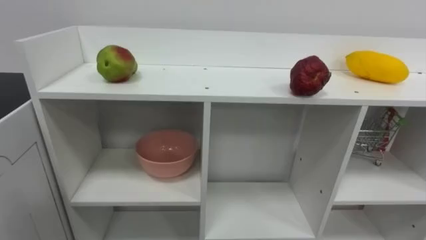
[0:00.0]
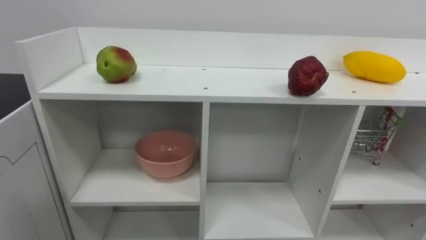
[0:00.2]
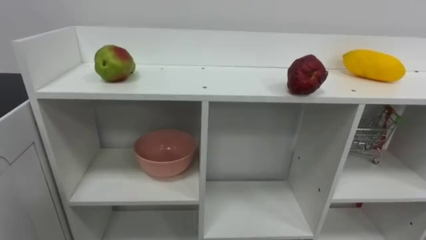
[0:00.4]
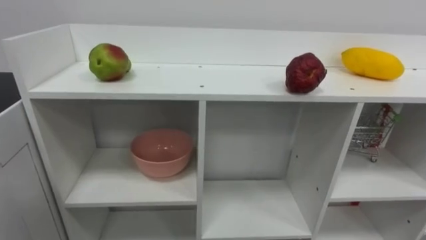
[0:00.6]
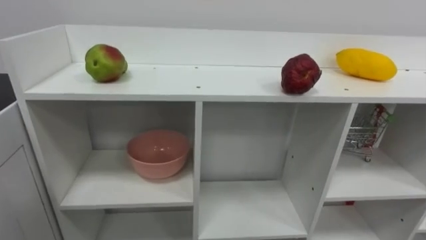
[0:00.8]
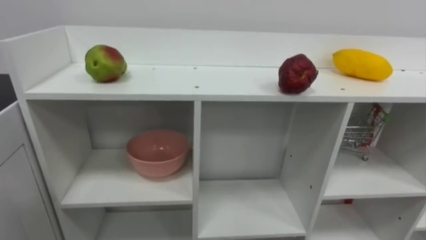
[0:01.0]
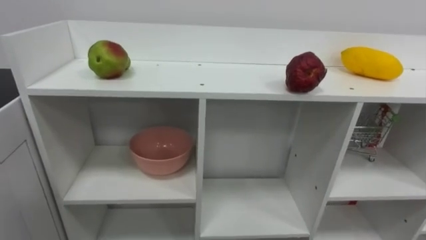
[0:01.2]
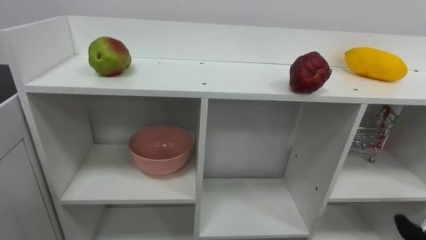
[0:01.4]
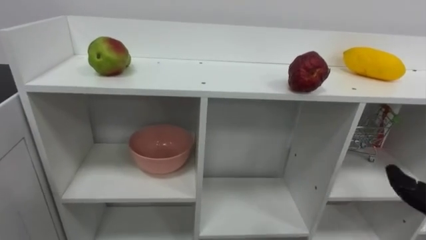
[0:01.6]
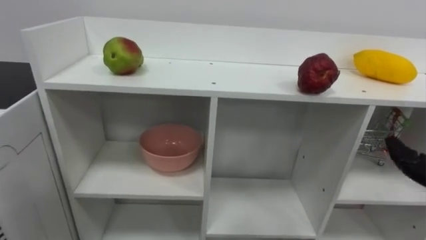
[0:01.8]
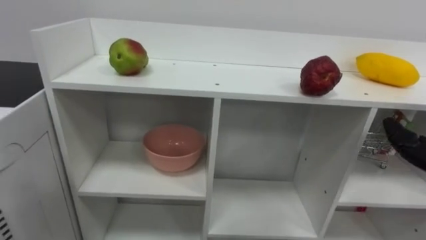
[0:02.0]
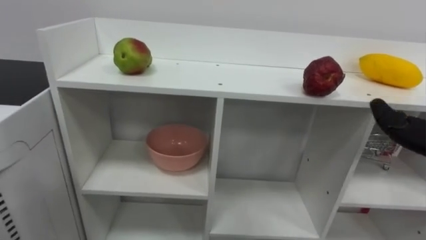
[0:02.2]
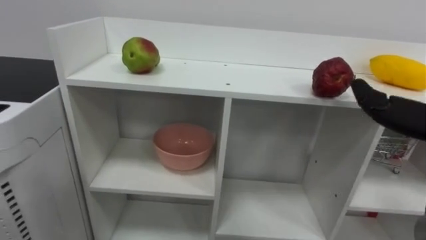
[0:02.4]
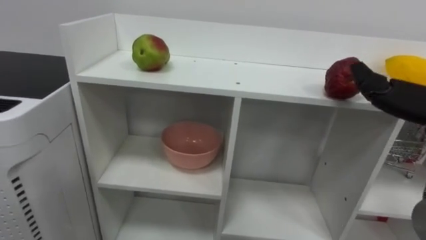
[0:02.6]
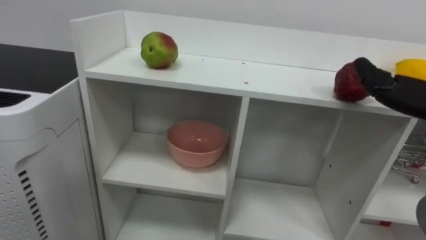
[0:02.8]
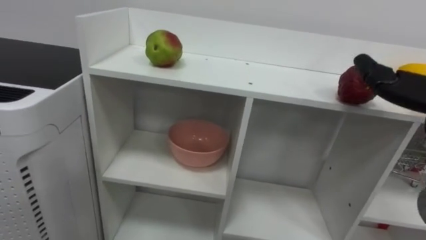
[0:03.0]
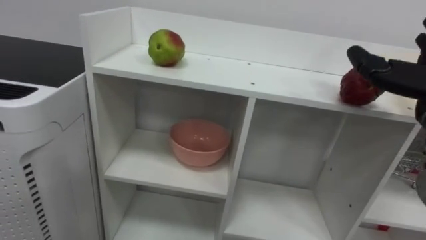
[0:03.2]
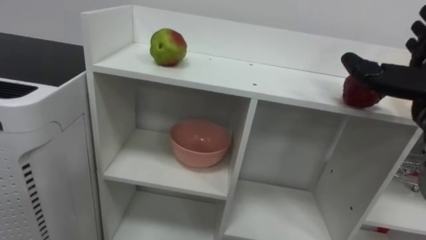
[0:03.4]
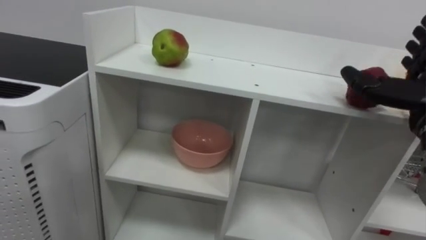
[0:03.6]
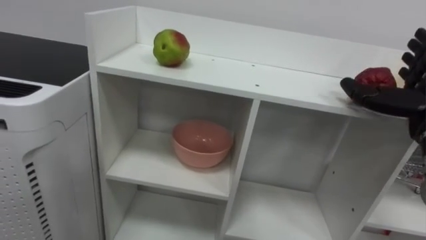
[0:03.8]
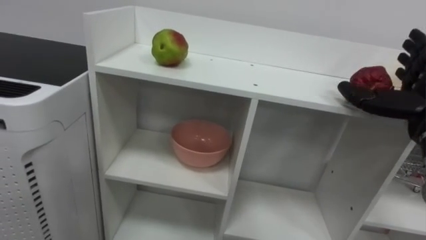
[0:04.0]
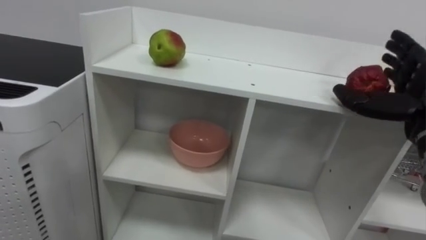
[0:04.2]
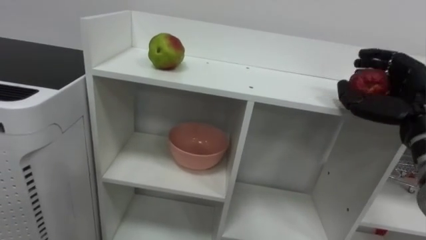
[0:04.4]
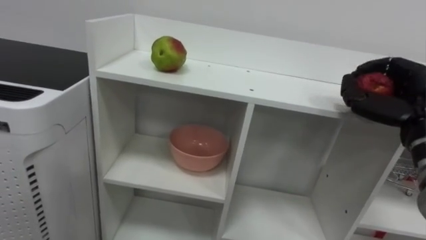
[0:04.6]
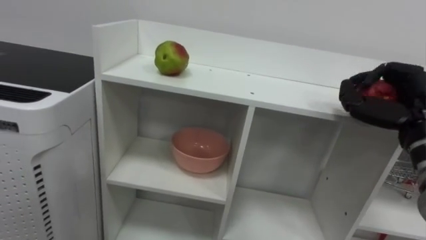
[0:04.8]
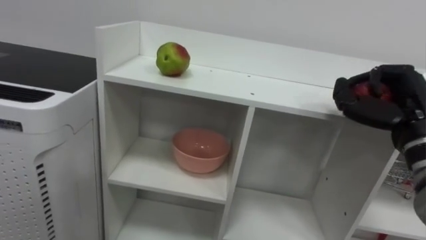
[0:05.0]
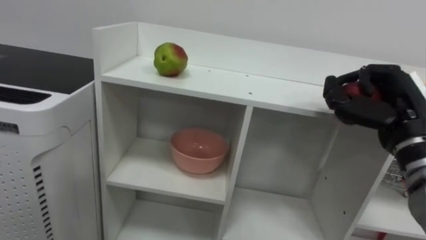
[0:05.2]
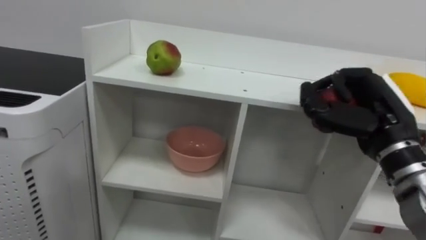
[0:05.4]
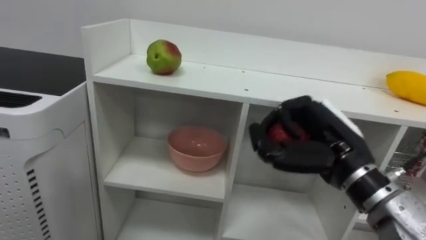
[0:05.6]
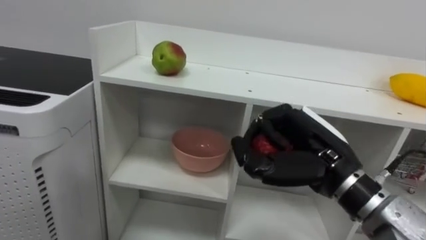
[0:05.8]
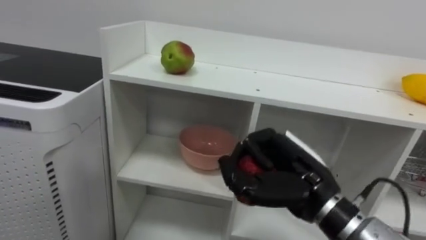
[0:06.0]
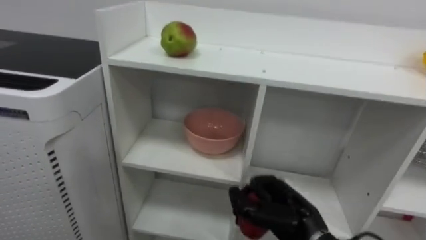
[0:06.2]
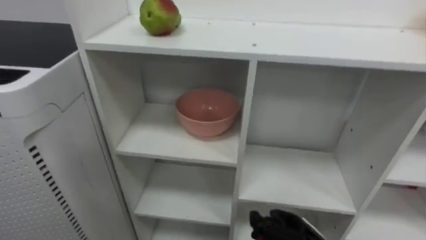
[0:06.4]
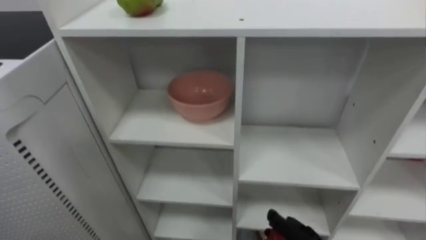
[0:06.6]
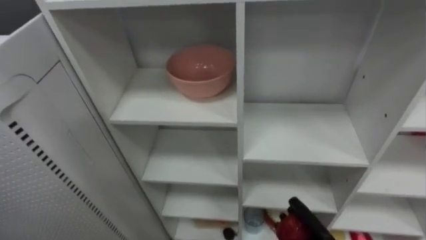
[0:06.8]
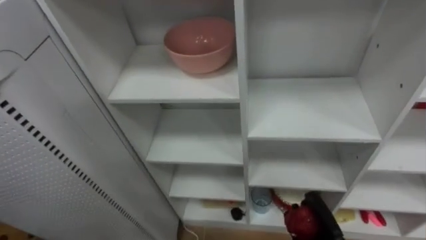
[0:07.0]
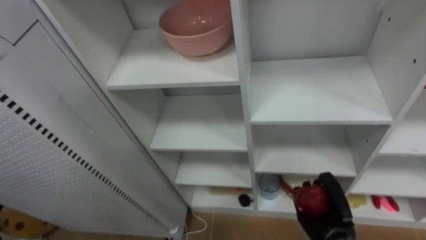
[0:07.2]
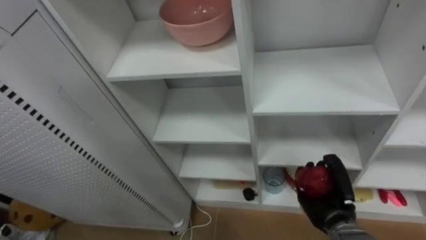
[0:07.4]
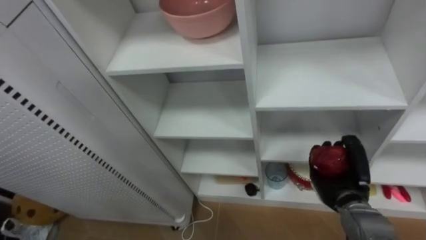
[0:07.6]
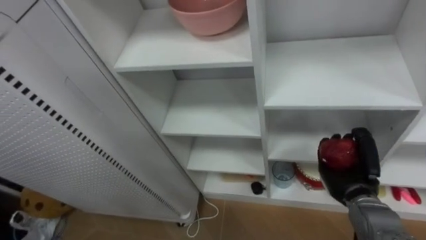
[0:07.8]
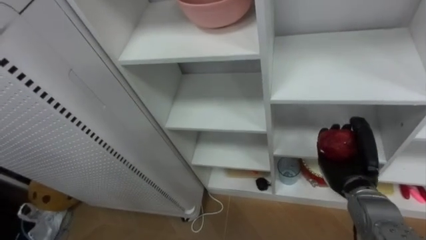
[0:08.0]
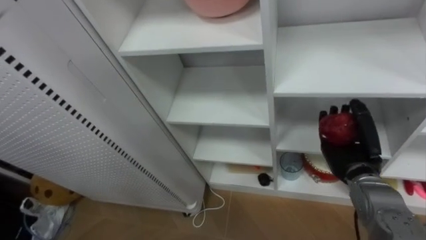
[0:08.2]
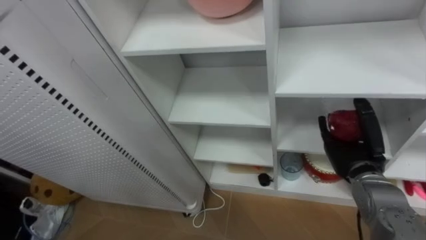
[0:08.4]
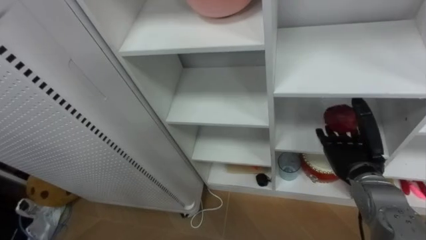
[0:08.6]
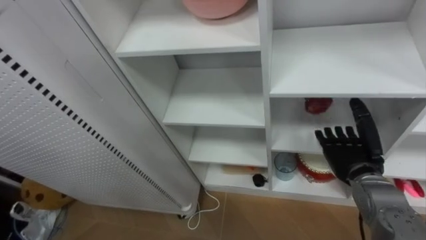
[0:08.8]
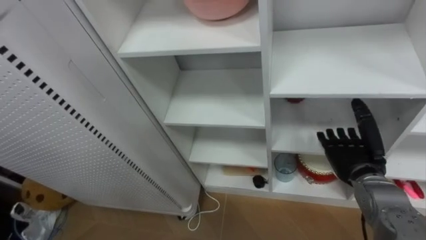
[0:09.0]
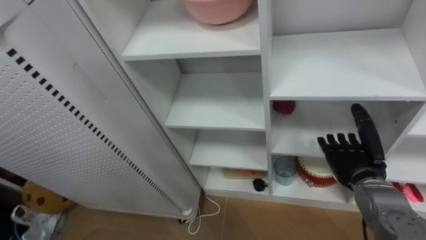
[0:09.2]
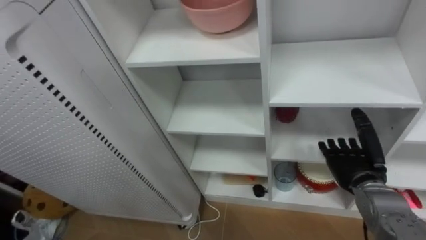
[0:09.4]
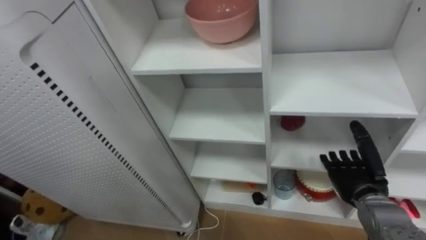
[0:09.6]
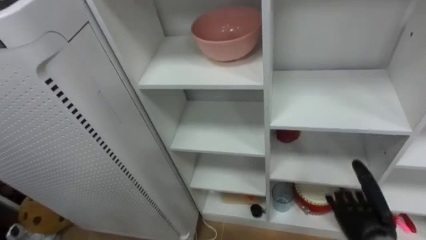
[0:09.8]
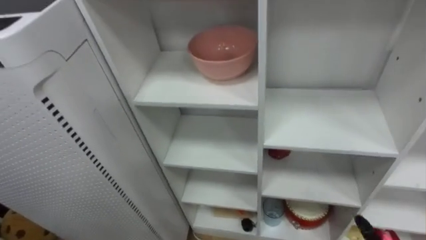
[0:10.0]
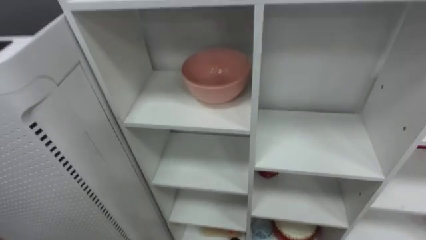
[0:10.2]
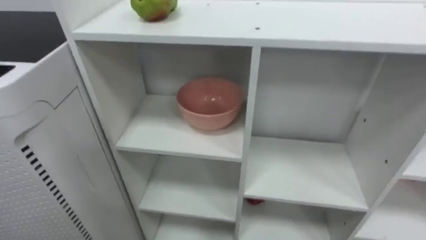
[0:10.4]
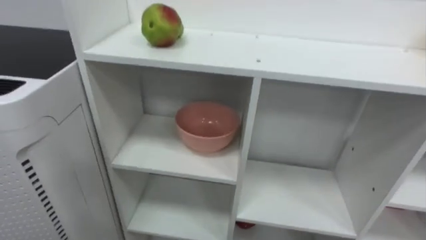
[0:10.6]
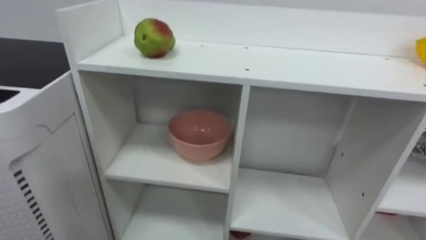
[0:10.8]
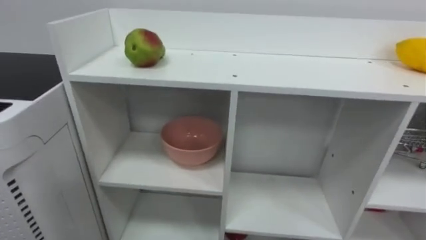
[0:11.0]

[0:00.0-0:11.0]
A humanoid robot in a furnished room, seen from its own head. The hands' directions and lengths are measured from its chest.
Task of the whole recording: Put the apple in the cell in the second column from the left and the second row from the top.
0:04.8 to 0:06.2: The right hand goes approximately 25 cm to the left and downward.
0:07.8 to 0:09.4: The right hand opens up.

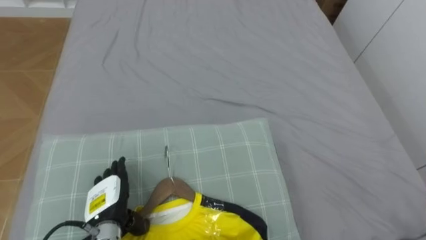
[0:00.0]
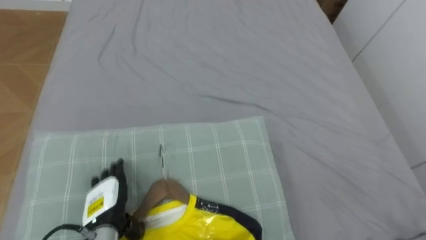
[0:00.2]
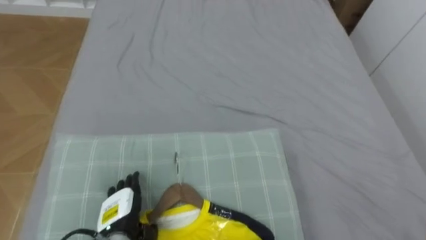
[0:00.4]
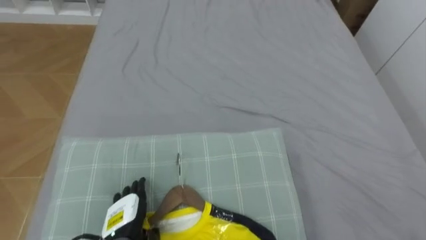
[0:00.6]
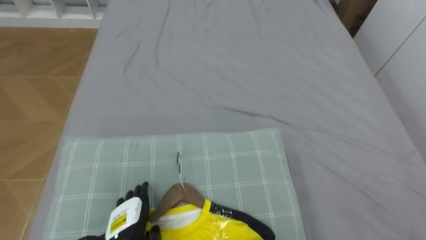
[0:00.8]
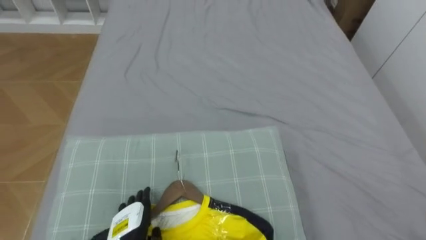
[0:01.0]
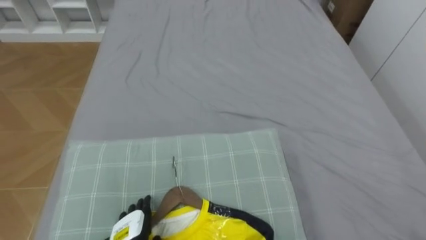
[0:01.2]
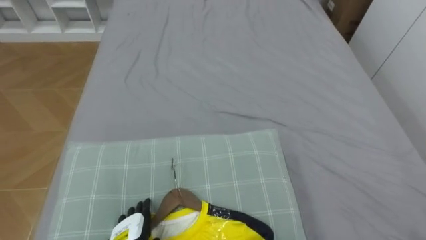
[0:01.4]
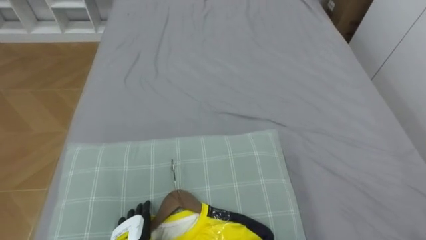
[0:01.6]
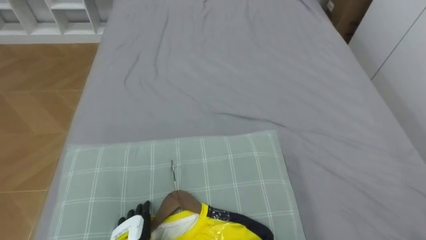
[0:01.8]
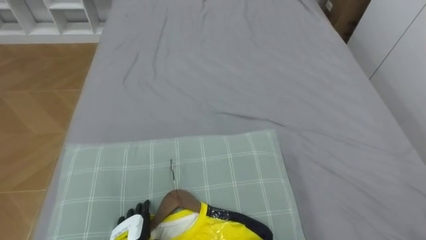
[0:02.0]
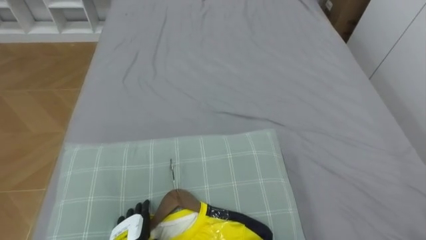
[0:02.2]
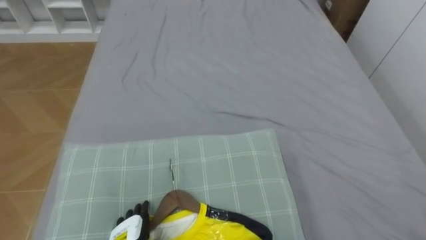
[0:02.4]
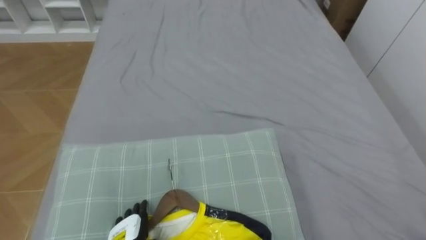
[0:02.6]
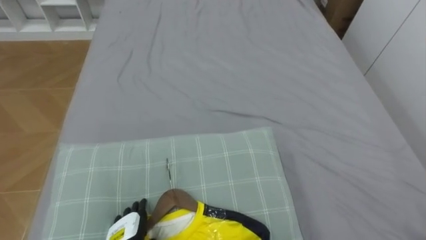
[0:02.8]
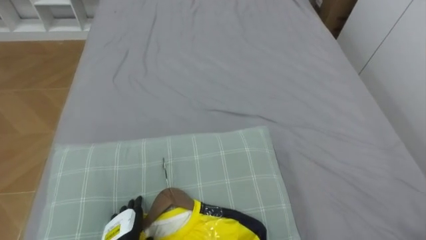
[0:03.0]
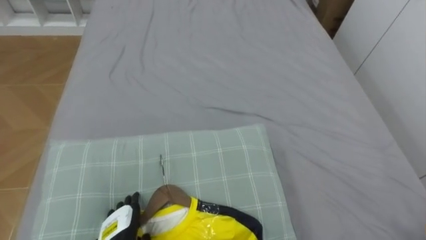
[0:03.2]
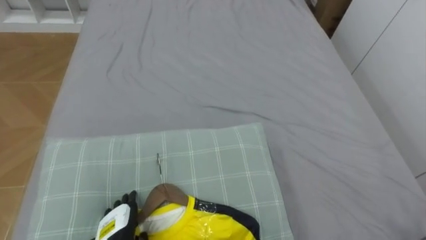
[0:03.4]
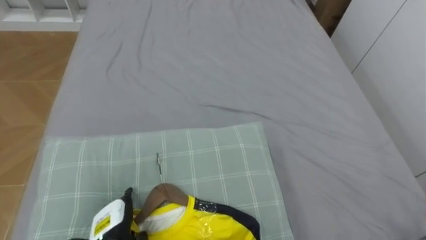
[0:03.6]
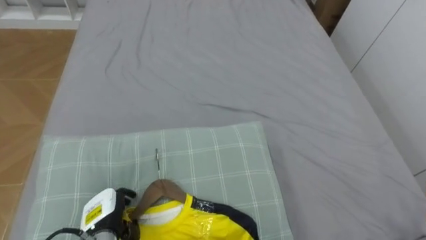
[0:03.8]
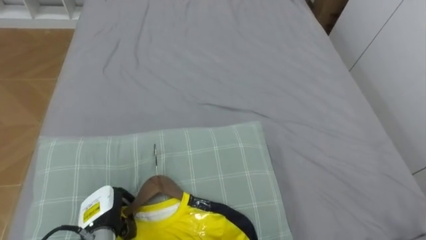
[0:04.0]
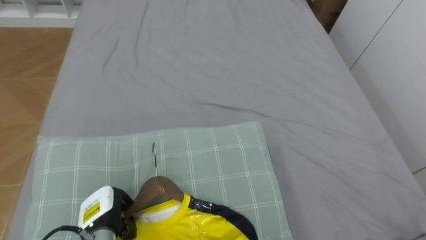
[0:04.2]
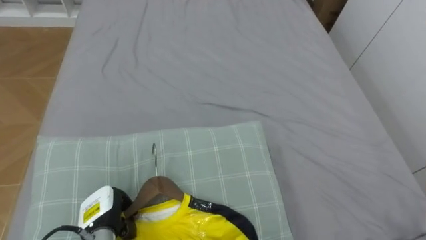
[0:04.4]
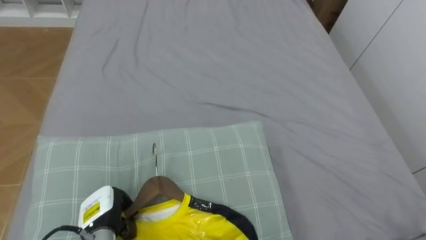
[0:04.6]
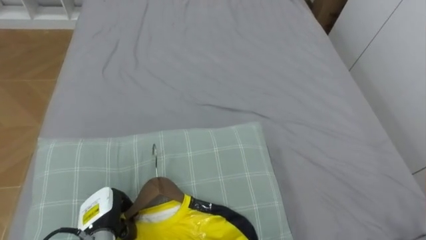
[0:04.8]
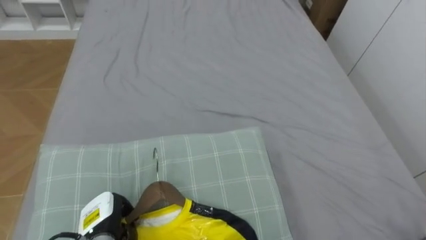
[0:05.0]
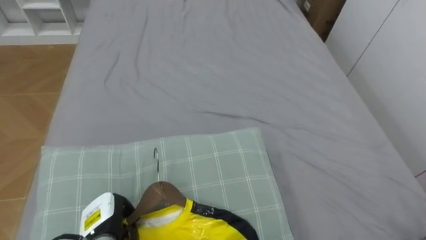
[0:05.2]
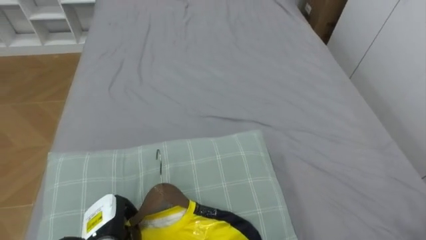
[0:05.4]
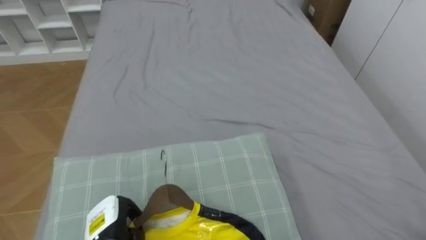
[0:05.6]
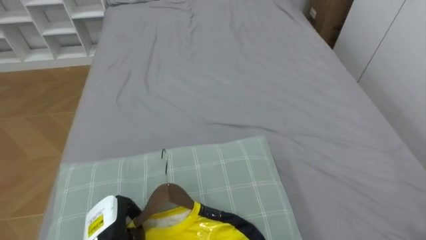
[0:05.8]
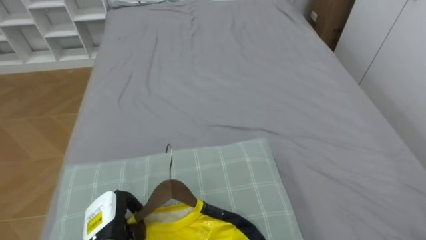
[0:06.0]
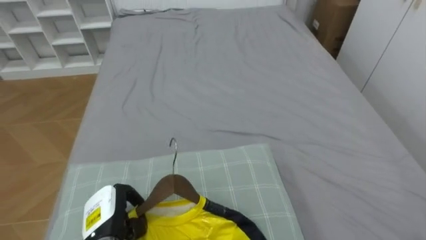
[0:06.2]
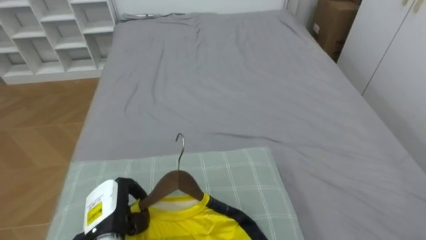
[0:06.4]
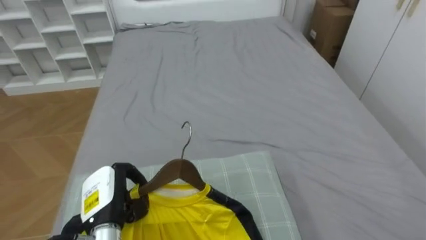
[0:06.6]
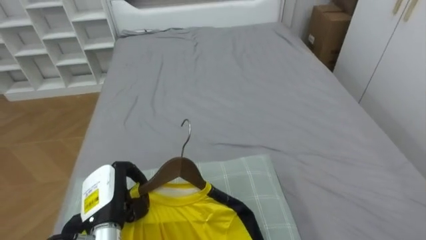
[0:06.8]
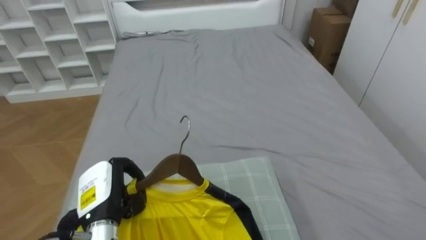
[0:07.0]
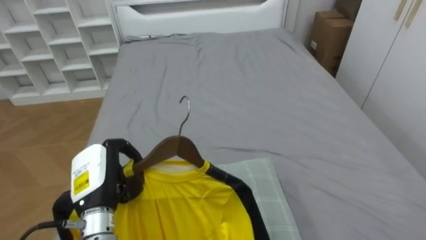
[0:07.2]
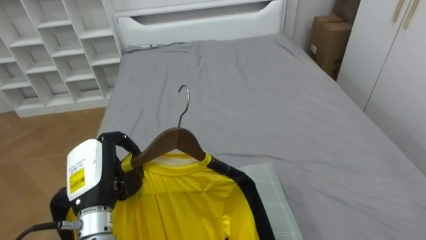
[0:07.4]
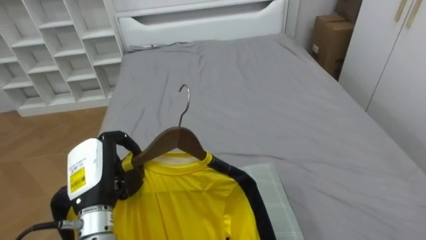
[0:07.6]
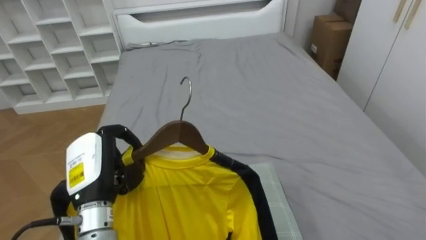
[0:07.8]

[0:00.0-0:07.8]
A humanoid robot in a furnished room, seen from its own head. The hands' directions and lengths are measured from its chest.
Task of the whole recording: Pick up the yellow shirt on the bed and hang it on the clothes rack on the right.
0:03.2 to 0:04.6: The left hand moves approximately 5 cm, and closes.
0:06.2 to 0:07.8: The left hand moves upward, some 15 cm.
